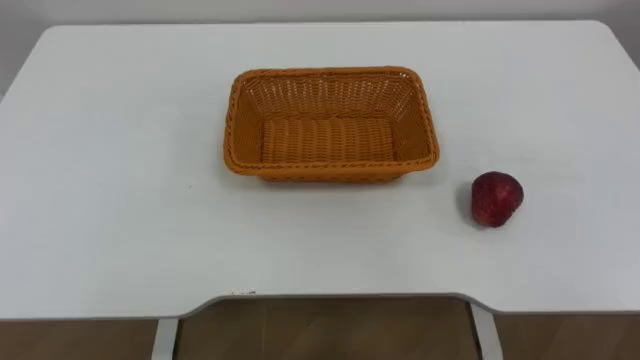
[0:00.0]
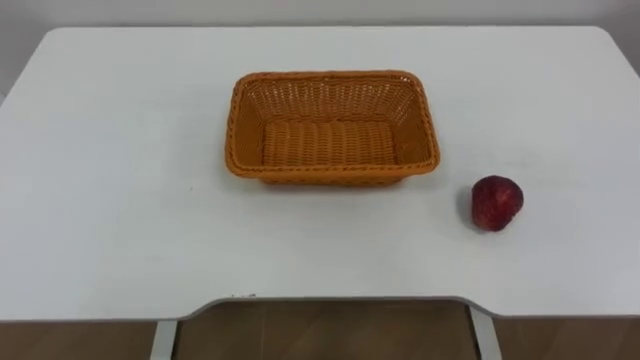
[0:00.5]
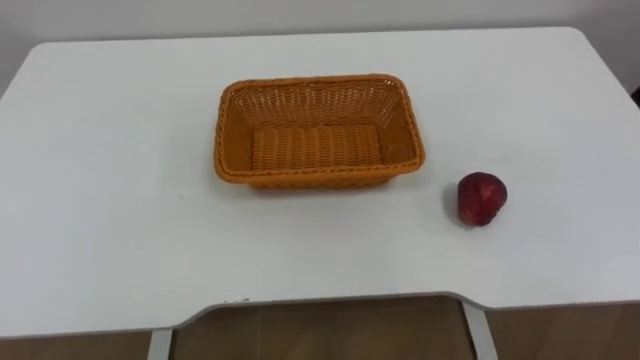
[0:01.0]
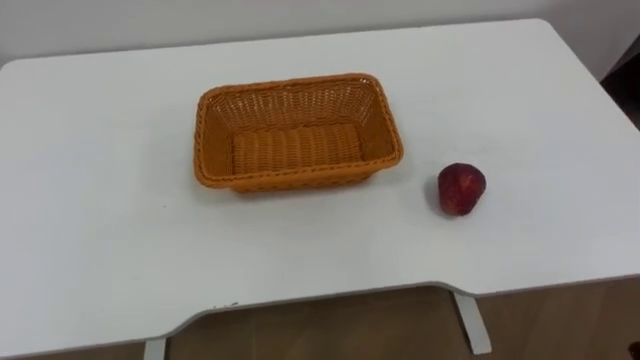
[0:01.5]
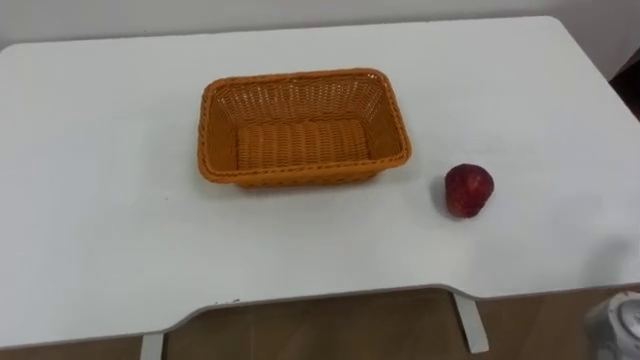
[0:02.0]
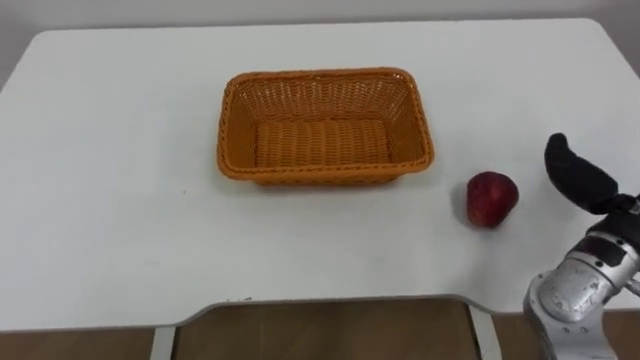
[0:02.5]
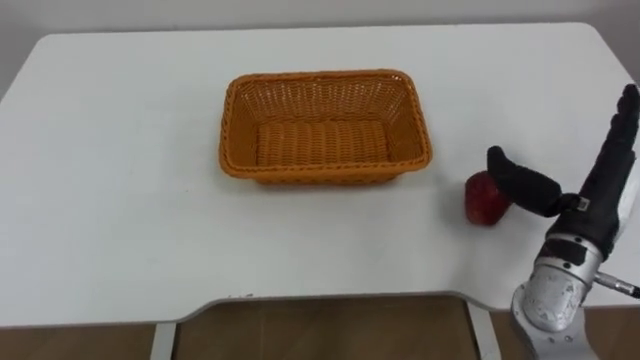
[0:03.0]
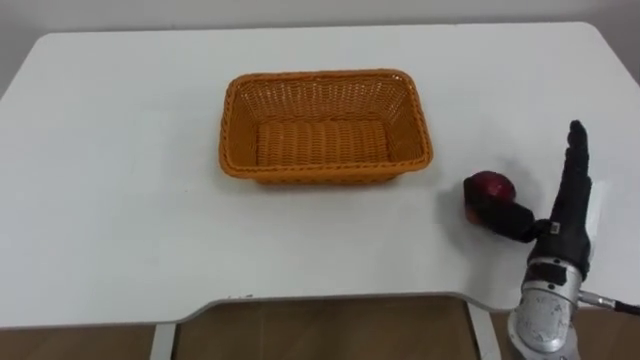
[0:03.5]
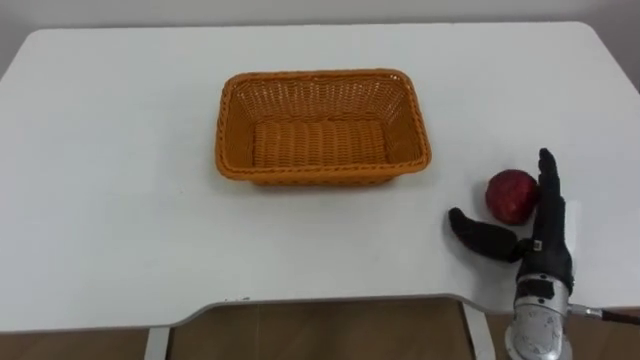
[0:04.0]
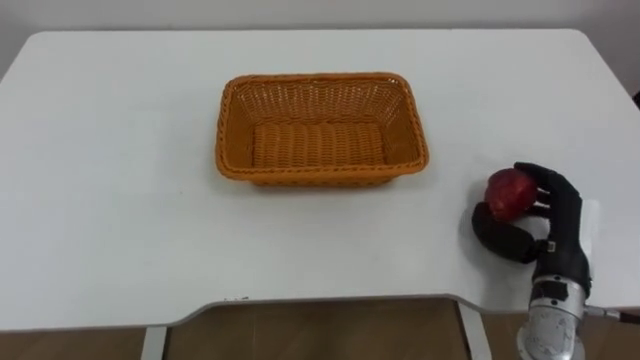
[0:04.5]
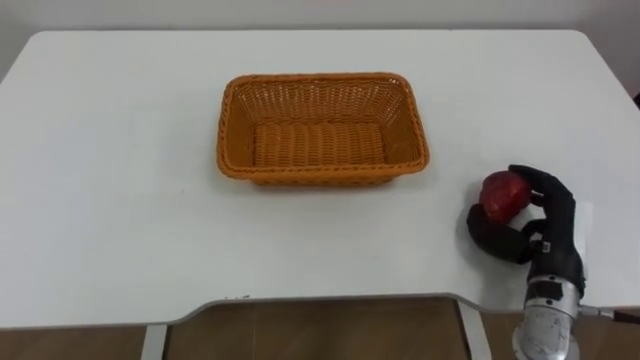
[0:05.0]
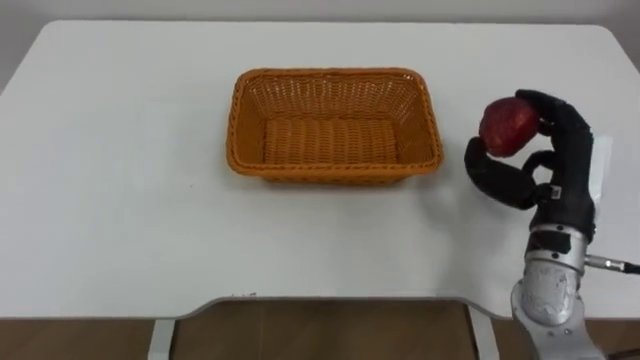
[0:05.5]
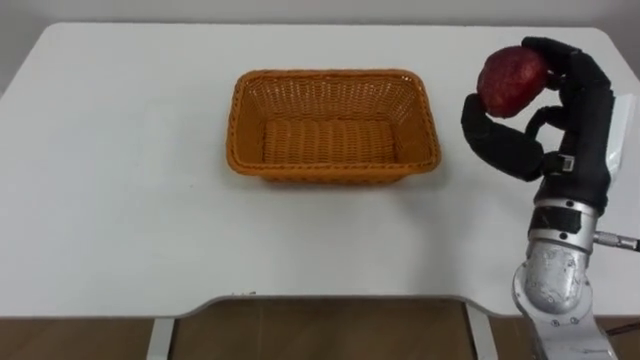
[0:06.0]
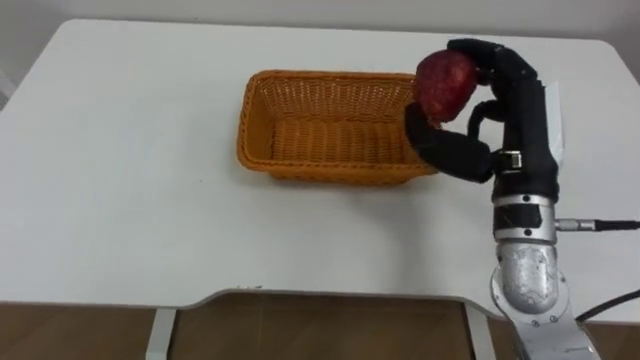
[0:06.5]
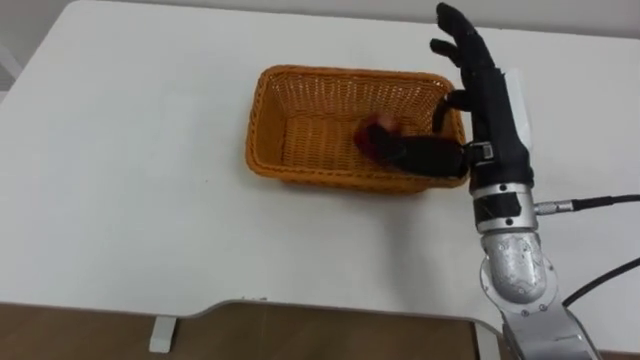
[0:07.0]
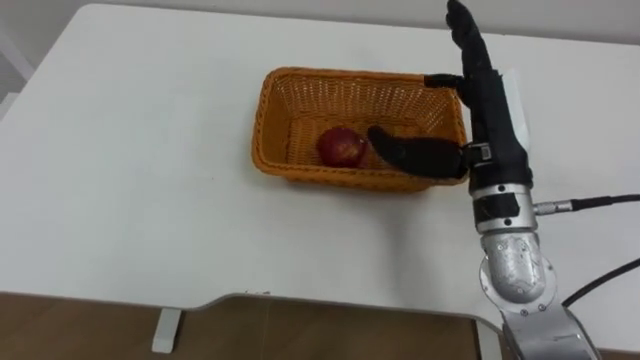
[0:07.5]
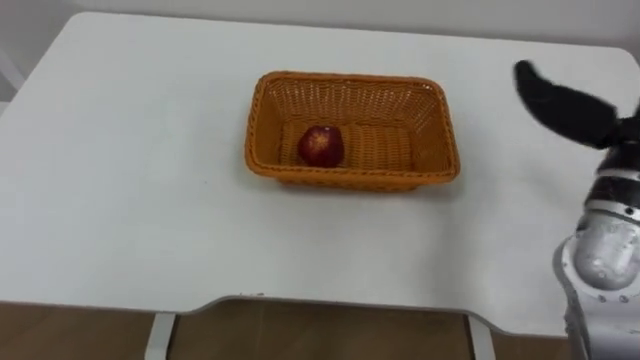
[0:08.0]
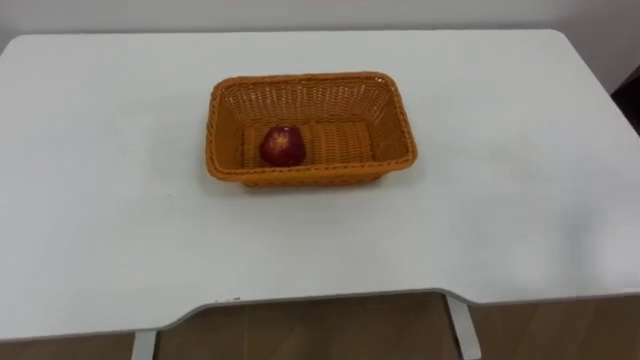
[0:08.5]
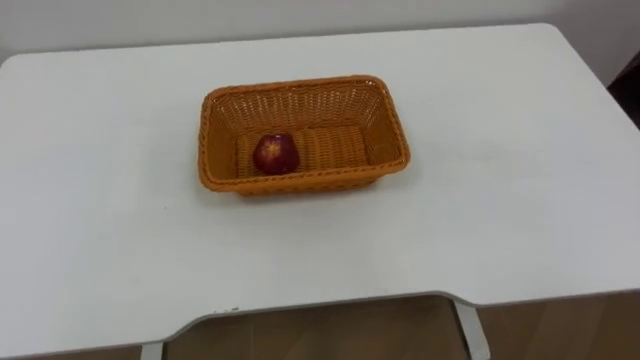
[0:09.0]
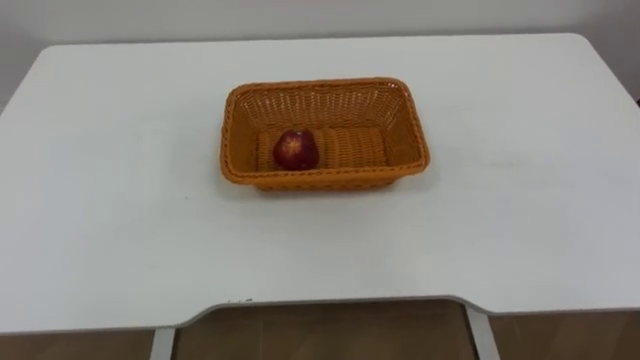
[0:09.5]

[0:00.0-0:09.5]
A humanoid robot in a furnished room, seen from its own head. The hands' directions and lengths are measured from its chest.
Task of the whole recording: Pick the apple and place it in the box.
0:04.0 to 0:05.5: The right hand goes roughly 10 cm upward, and closes its fingers.
0:05.5 to 0:07.5: The right hand heads to the left and upward, covering some 10 cm, and opens its fingers.

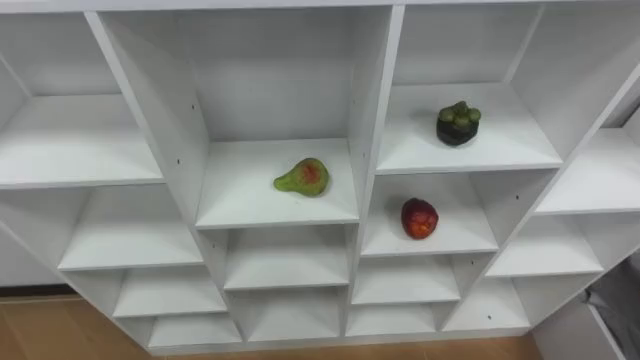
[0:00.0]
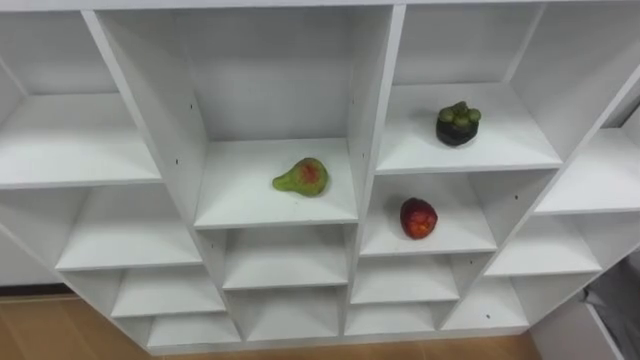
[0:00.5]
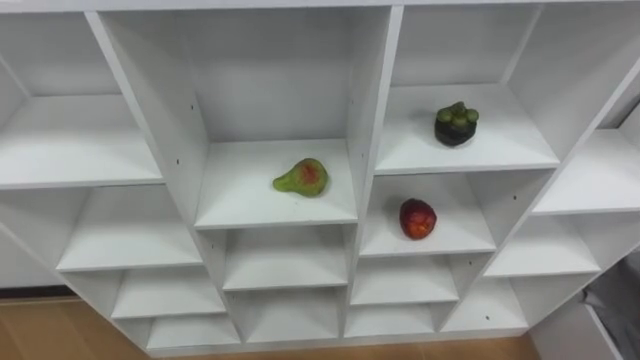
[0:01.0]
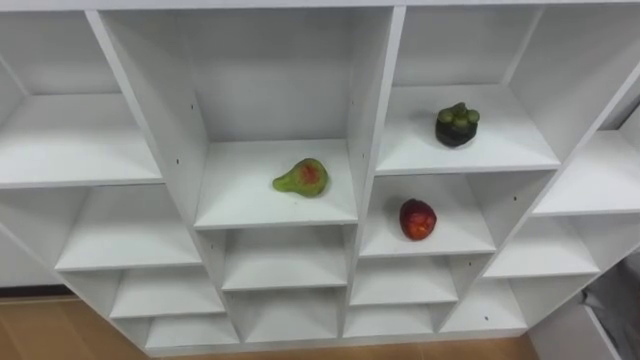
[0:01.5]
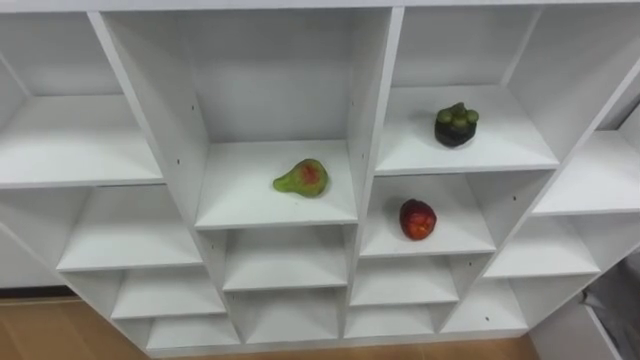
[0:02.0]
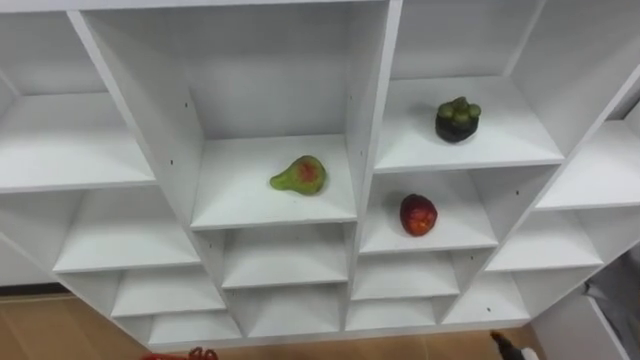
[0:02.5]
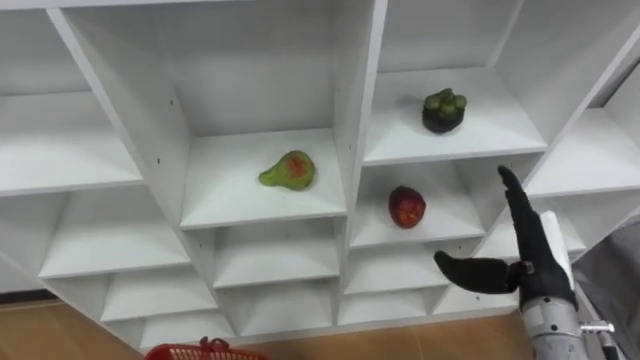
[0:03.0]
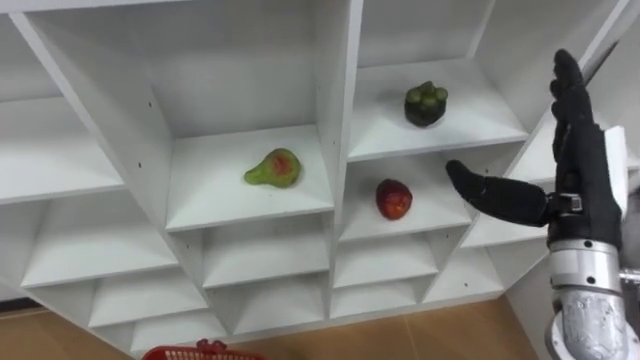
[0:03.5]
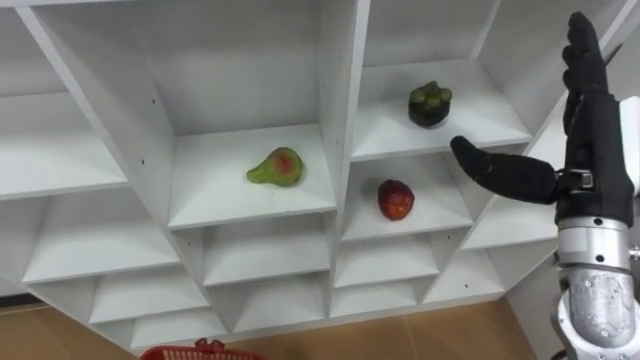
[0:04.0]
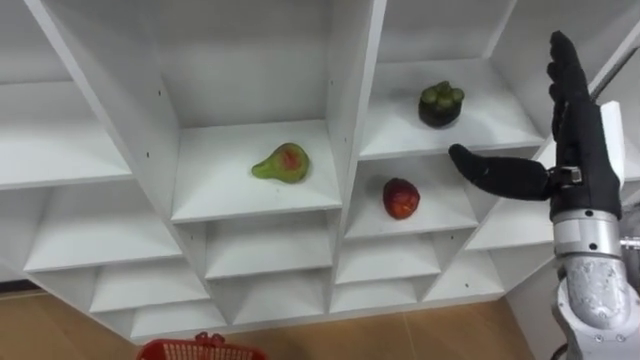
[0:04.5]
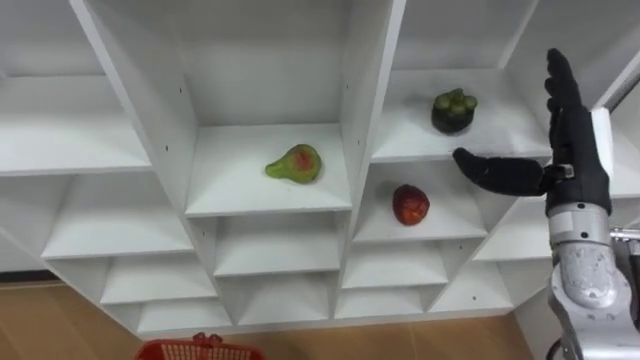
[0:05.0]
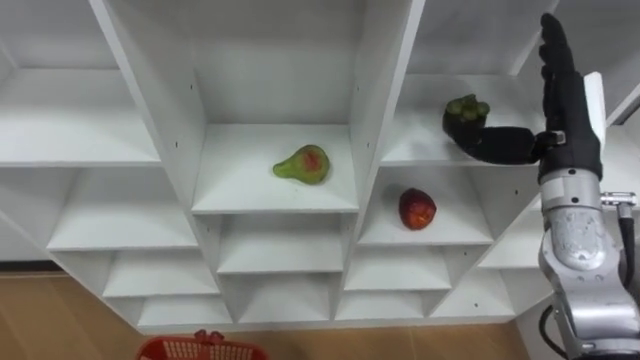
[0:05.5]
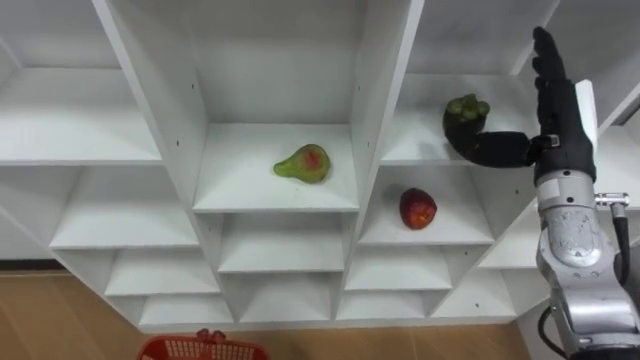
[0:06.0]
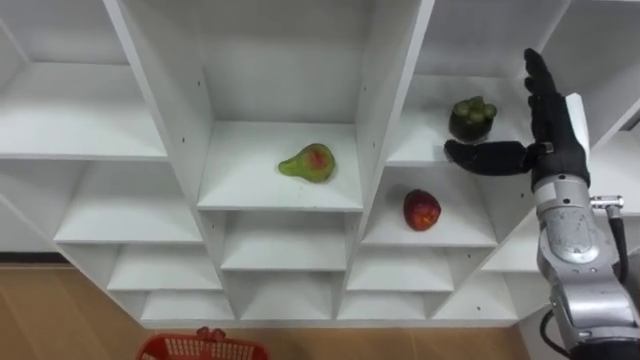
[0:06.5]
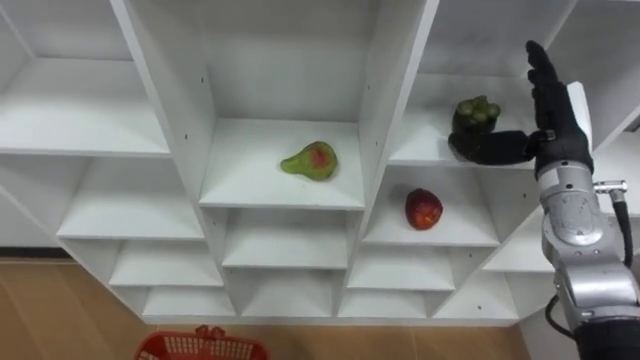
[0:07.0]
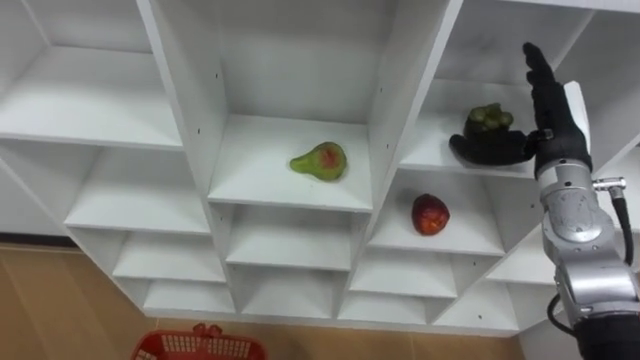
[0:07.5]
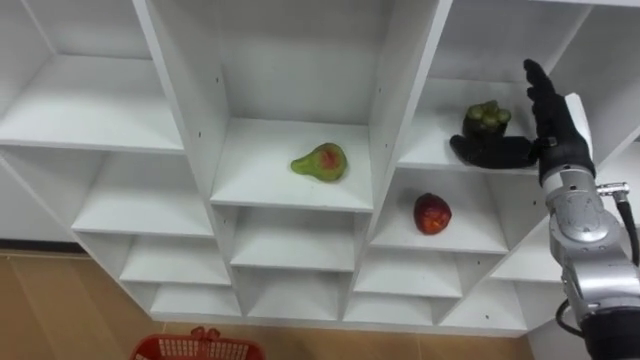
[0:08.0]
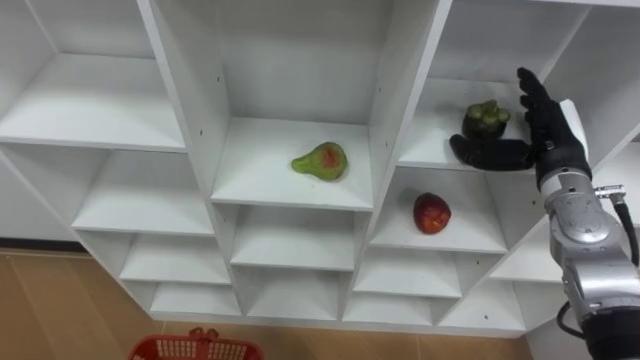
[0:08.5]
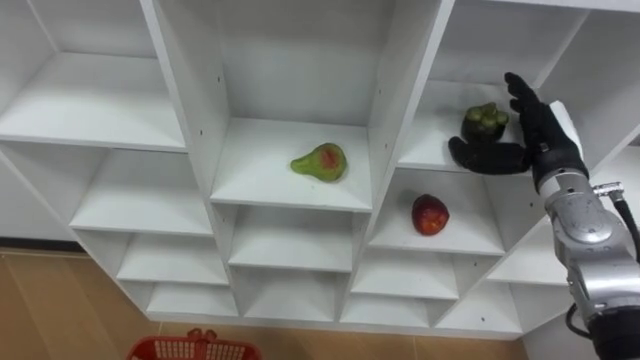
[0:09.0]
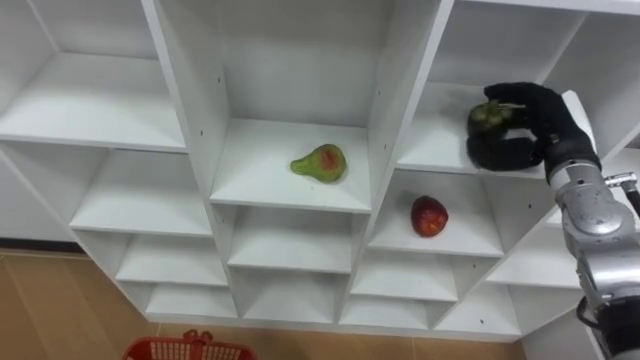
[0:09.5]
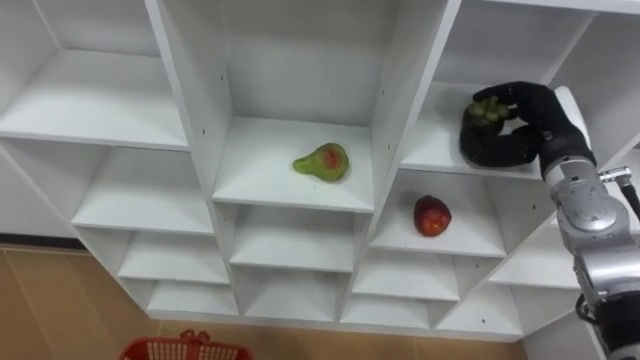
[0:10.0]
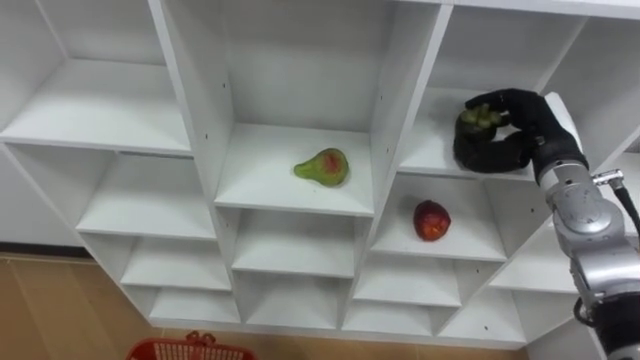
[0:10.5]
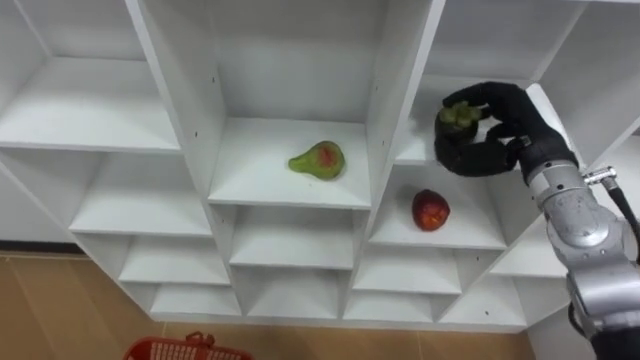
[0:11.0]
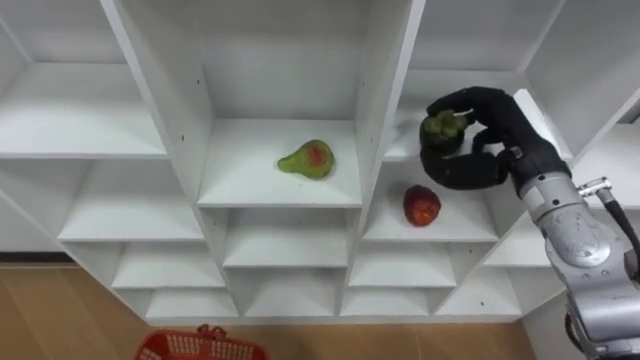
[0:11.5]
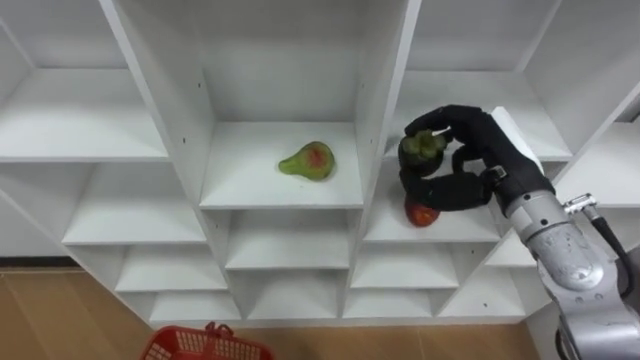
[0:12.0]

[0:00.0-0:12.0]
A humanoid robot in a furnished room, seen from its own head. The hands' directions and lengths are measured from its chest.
Task of the whole recording: Hold the basket and collect the fruits from 3 different cells of the closet into it.
0:04.0 to 0:06.0: The right hand shifts roughly 5 cm forward.
0:08.0 to 0:10.0: The right hand closes its fingers.
0:10.0 to 0:12.0: The right hand shifts about 10 cm to the left and backward.
